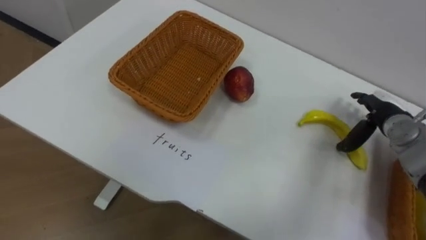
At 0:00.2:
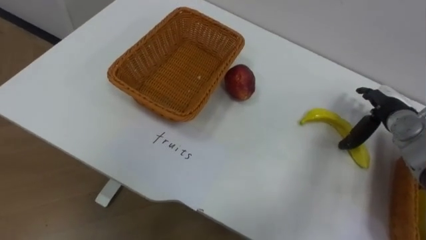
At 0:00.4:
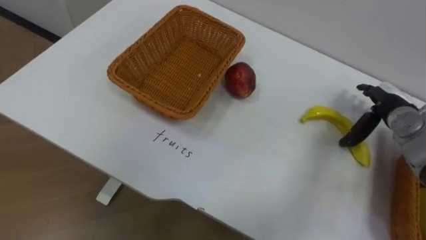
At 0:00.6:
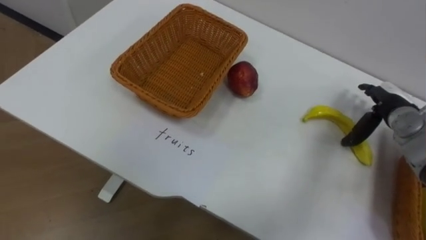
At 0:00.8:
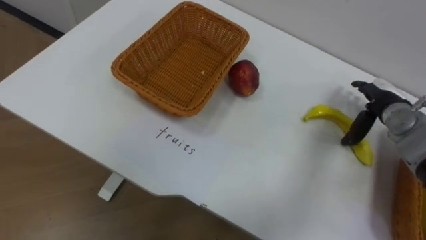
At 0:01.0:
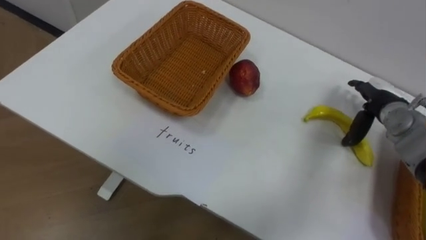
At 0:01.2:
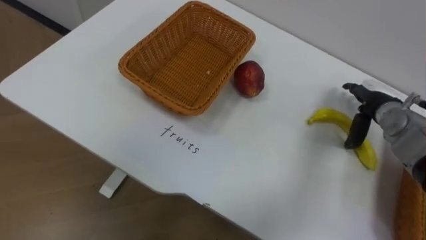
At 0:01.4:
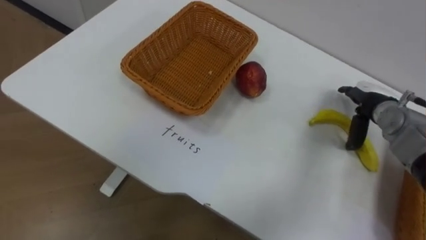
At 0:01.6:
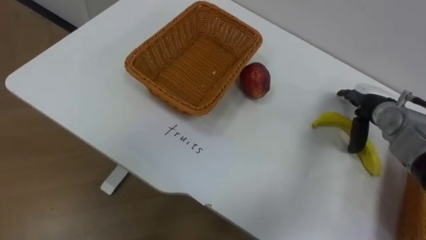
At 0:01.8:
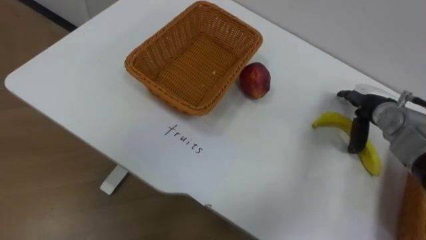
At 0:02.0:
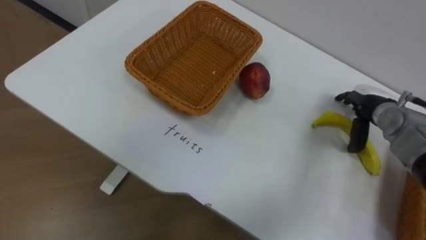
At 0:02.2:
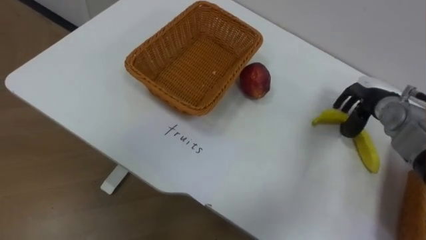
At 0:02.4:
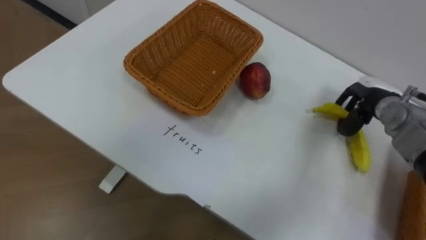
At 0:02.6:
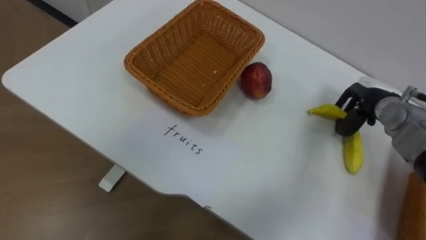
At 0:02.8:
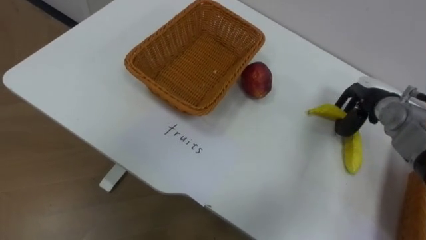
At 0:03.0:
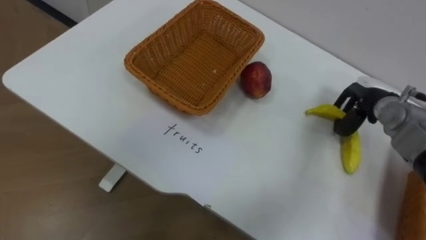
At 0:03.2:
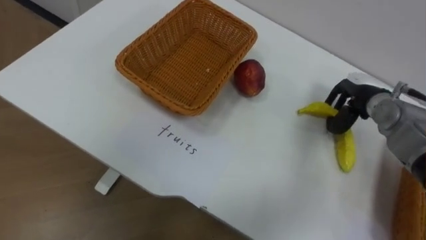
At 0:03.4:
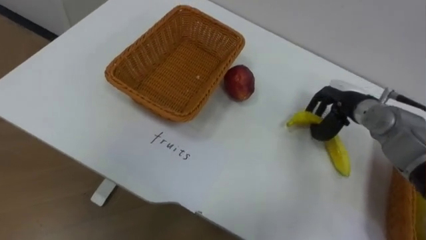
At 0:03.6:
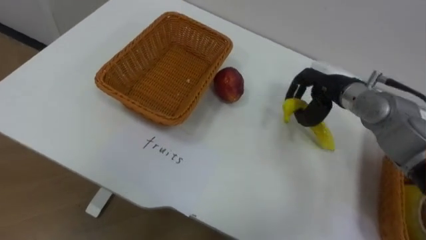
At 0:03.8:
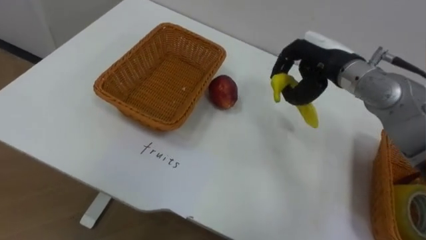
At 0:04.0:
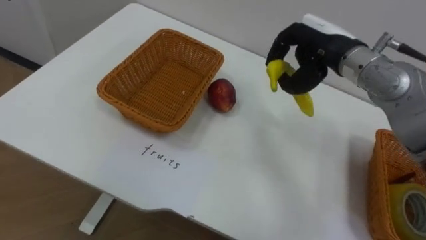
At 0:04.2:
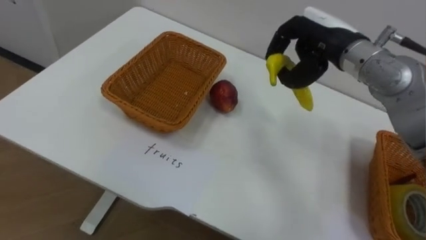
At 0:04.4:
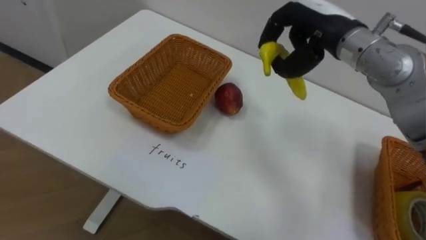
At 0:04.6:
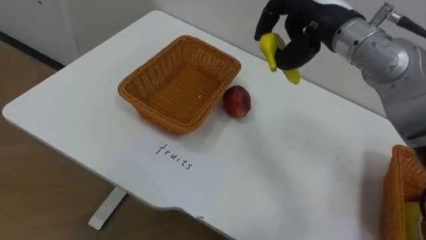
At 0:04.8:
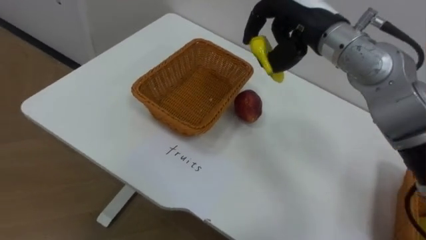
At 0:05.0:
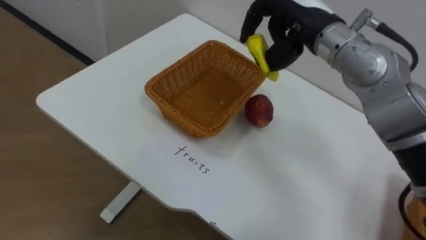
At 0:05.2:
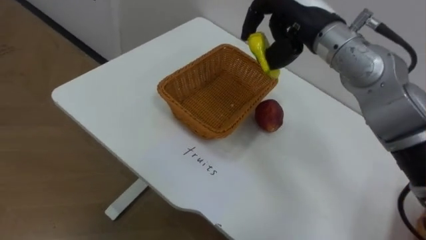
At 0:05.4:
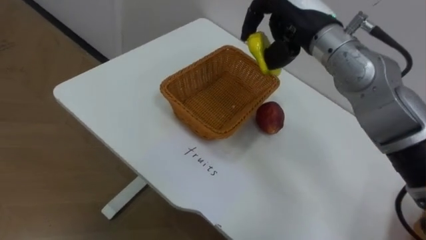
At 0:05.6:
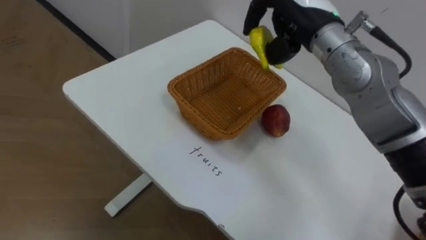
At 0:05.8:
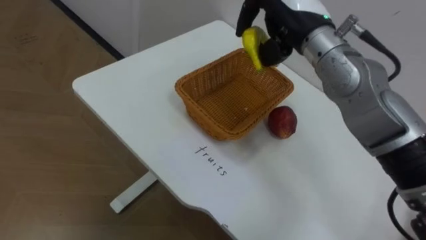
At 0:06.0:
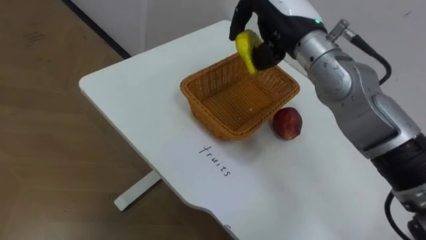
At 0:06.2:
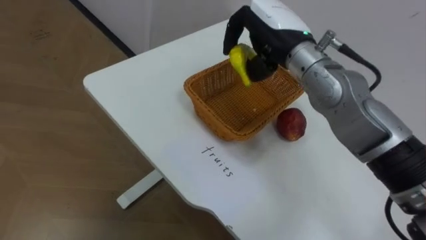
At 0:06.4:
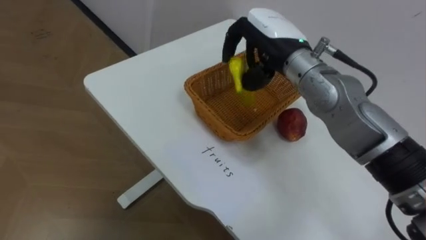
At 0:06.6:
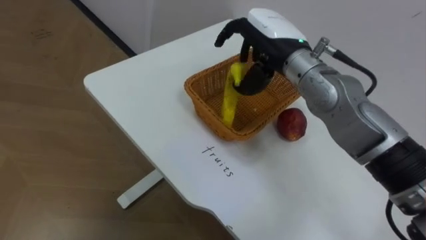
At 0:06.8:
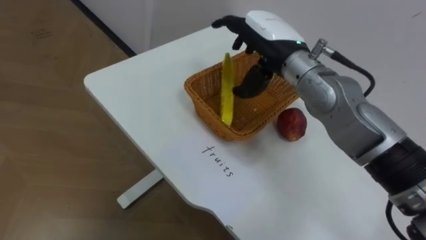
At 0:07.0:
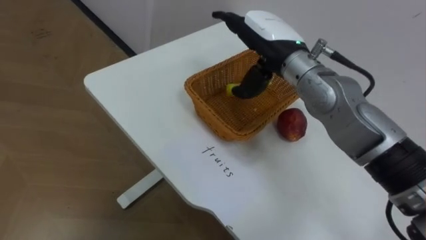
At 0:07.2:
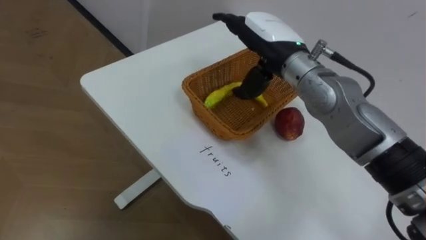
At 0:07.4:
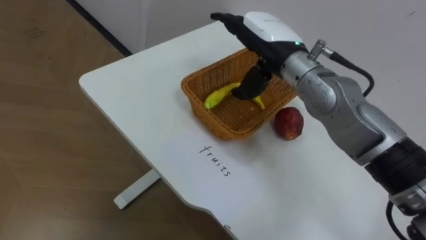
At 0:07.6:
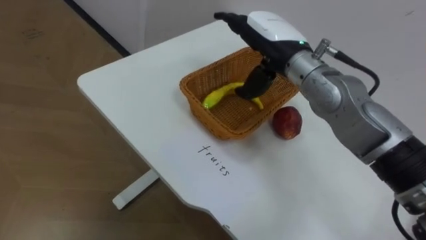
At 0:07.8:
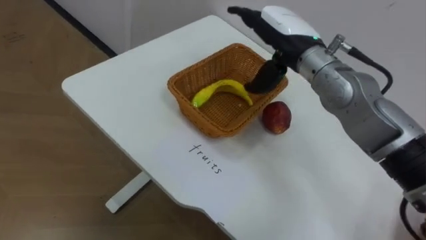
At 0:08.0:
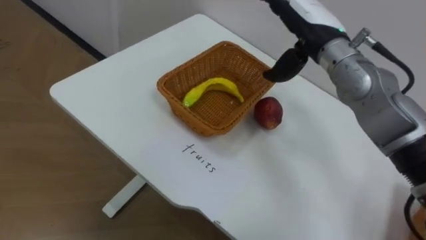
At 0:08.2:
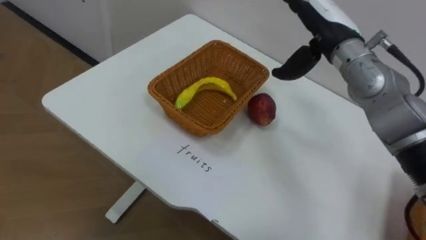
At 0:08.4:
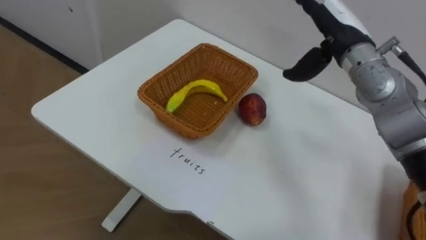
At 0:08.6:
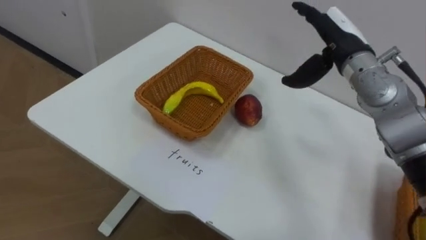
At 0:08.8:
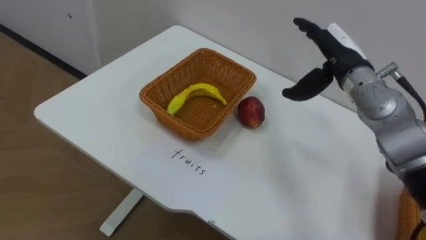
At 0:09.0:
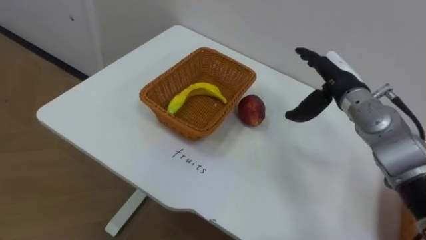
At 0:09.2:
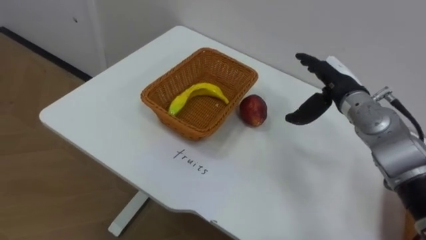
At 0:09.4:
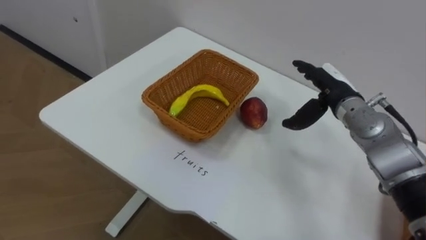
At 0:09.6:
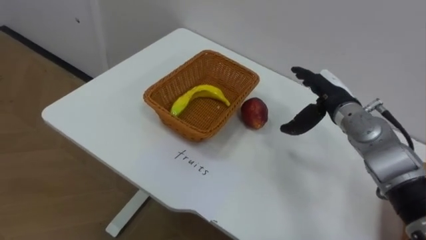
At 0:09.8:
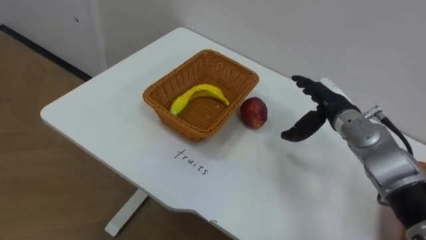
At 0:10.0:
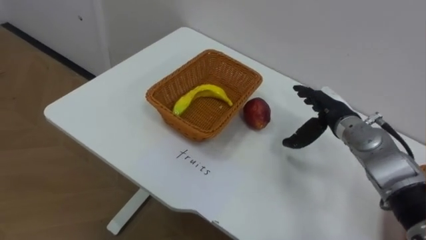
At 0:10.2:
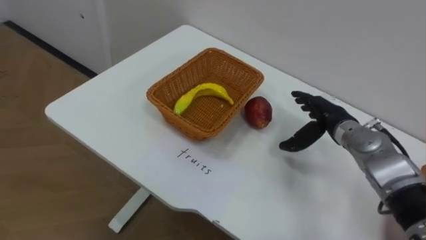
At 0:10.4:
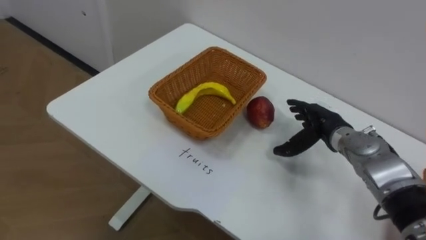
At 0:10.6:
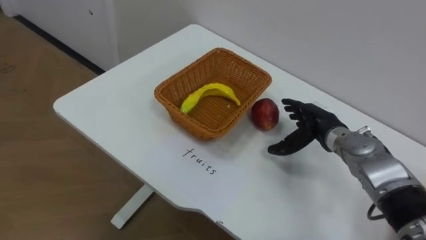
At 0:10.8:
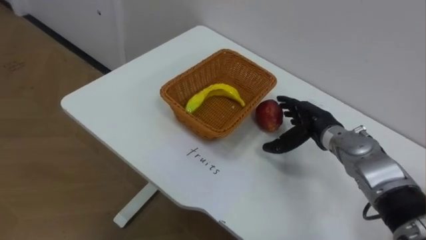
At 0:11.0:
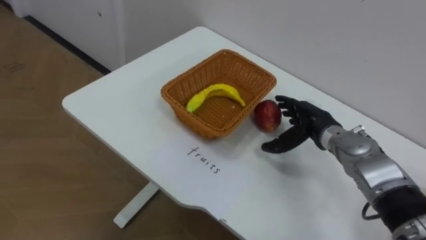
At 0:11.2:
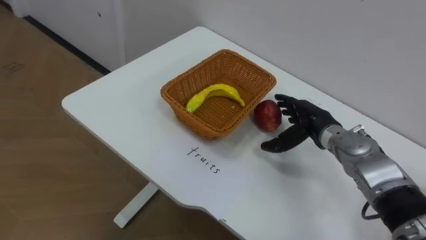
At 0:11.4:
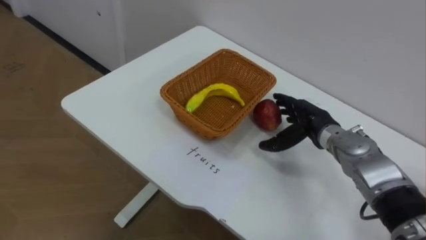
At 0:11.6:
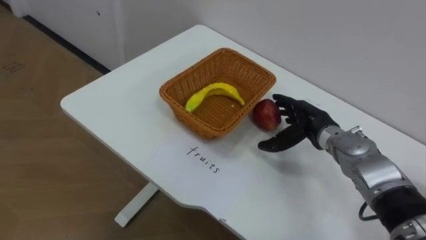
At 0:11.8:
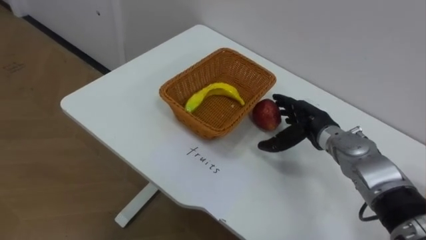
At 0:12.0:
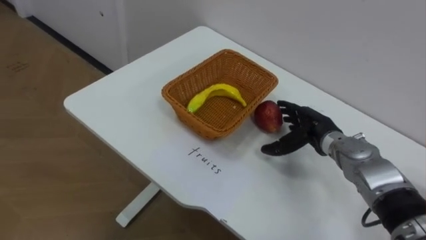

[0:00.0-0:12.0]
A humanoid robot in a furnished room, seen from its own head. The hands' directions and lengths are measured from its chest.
Task of the whole recording: Separate the items on the table and place them into the two baskets.
0:01.6 to 0:03.0: The right hand closes.
0:03.0 to 0:04.4: The right hand is displaced upward and to the left by some 20 cm.
0:04.4 to 0:06.0: The right hand shifts about 5 cm to the left.
0:06.0 to 0:07.6: The right hand opens up.
0:07.6 to 0:09.0: The right hand goes roughly 15 cm to the right and downward.
0:09.0 to 0:10.4: The right hand travels downward by some 10 cm.

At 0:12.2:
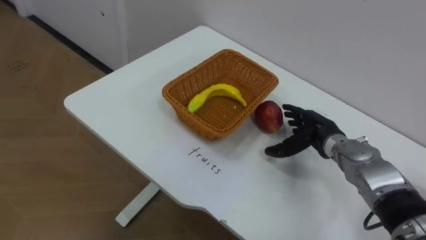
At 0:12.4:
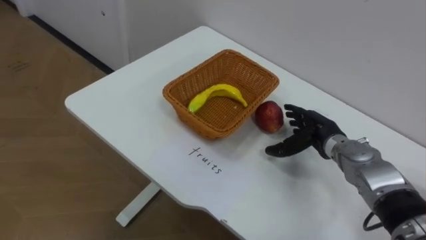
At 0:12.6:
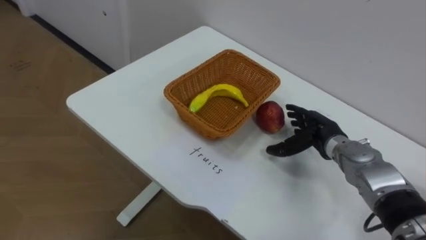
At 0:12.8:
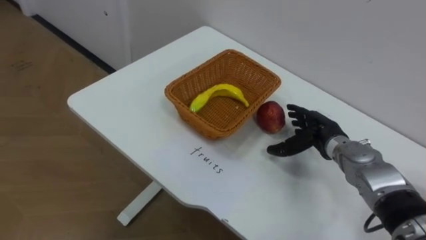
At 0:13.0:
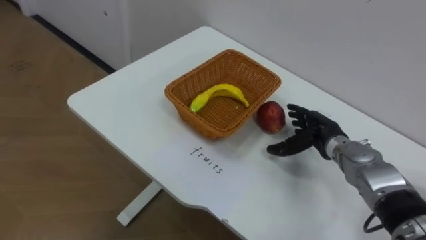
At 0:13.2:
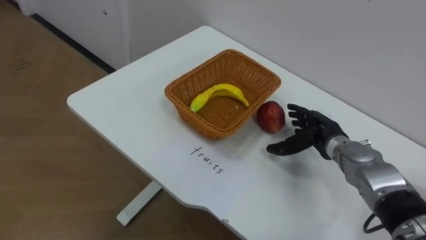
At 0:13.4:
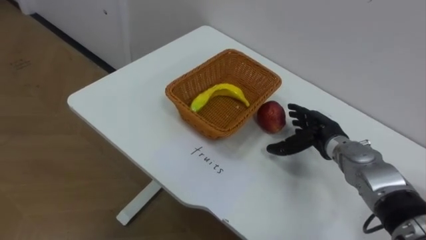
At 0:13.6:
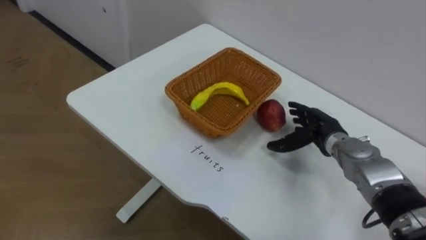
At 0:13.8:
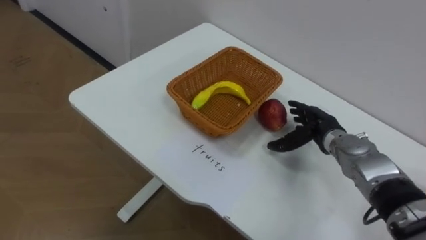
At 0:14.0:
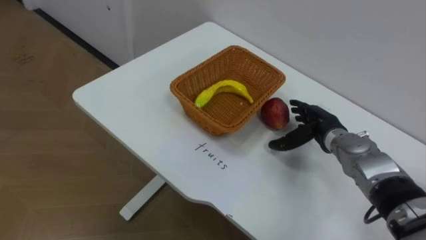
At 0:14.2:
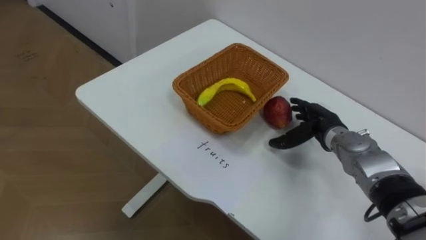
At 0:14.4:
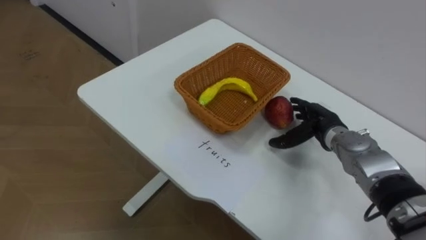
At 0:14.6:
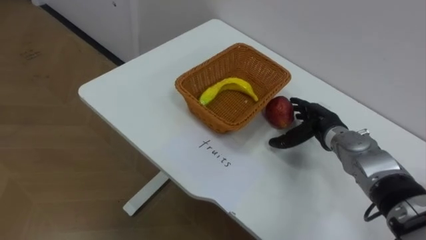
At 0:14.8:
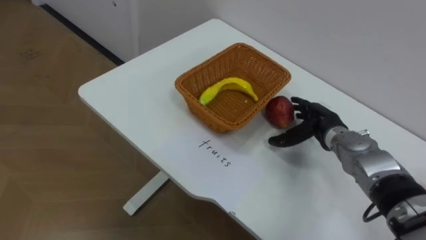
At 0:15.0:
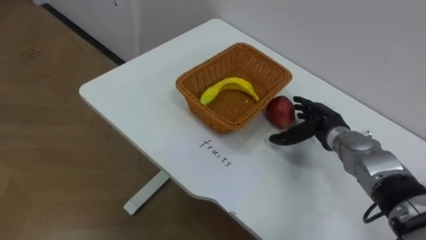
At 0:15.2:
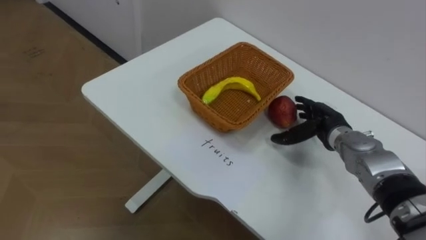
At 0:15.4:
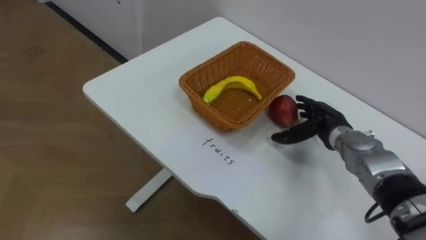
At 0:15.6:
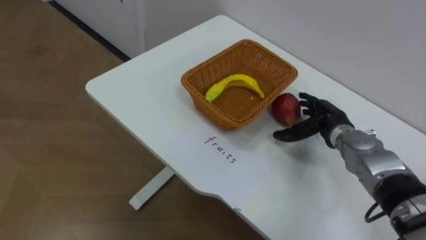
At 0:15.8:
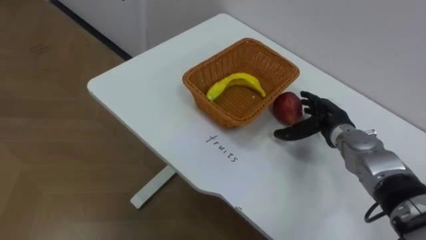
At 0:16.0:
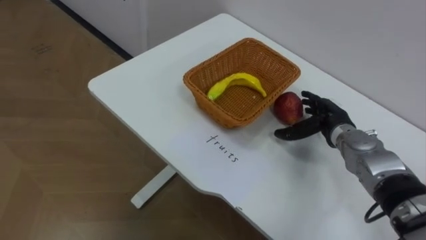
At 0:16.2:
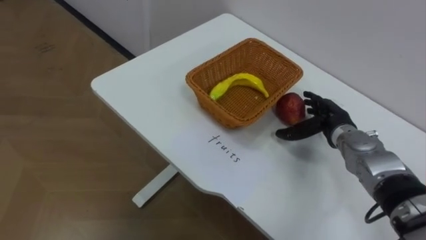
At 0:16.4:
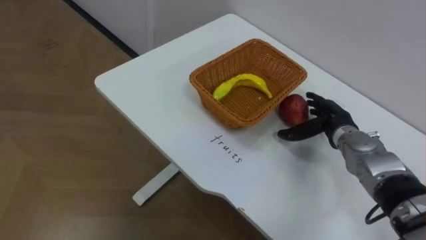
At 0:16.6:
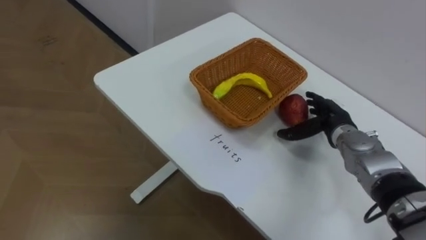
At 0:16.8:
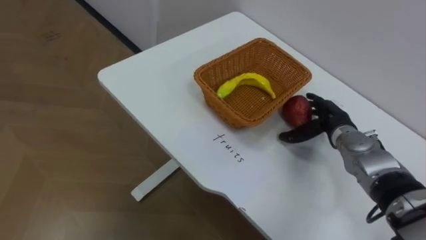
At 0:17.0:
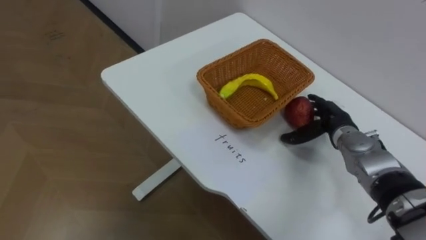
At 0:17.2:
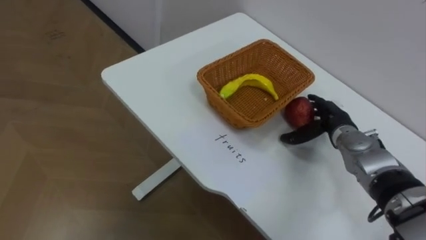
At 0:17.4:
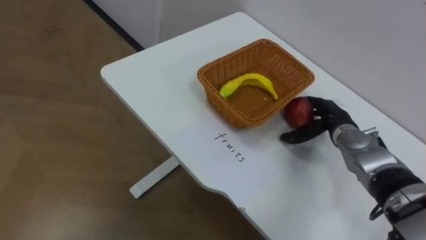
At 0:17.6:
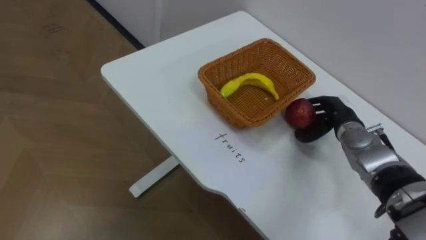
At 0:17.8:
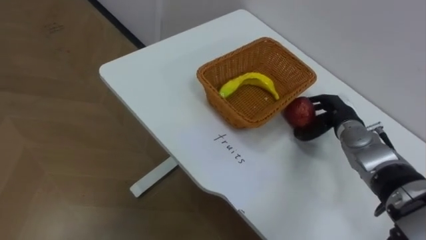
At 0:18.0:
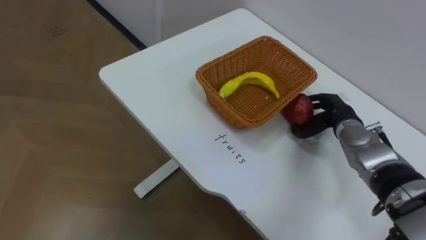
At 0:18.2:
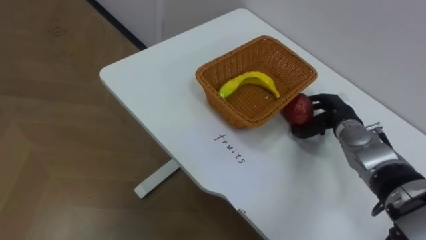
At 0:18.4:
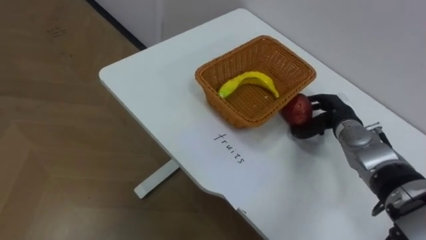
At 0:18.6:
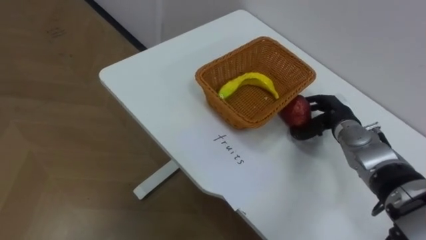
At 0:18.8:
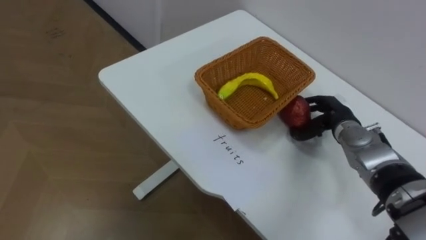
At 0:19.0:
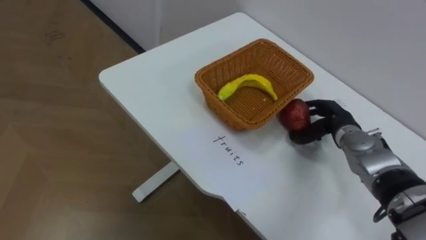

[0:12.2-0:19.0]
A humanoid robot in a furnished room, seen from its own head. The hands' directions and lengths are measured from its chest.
Task of the whole recording: Separate the items on the table and place them into the two baskets.
0:16.2 to 0:17.6: The right hand closes up.
